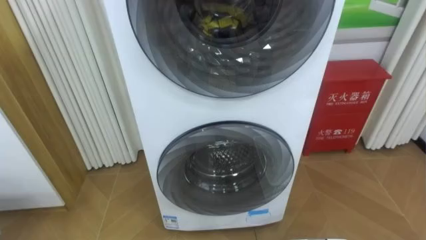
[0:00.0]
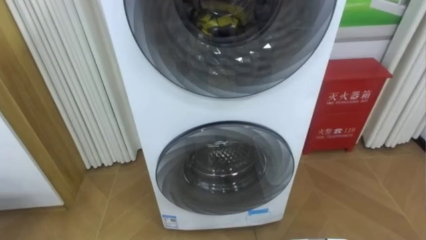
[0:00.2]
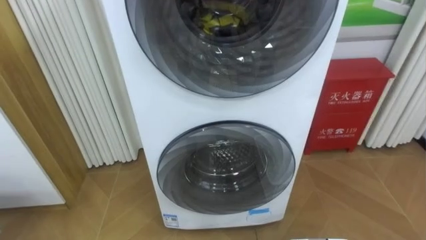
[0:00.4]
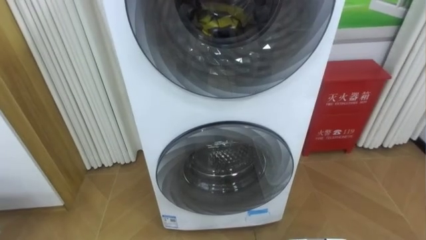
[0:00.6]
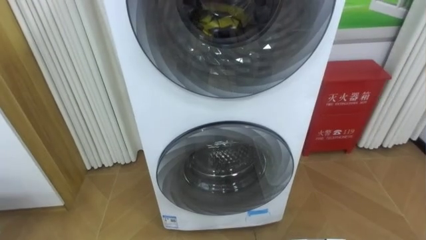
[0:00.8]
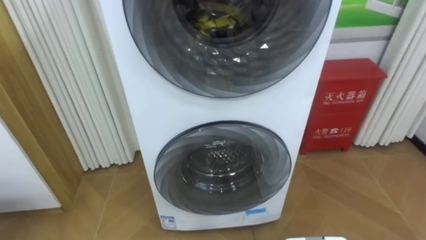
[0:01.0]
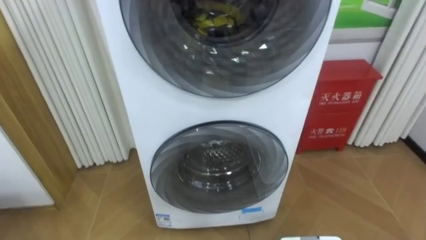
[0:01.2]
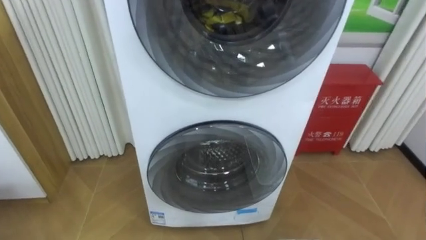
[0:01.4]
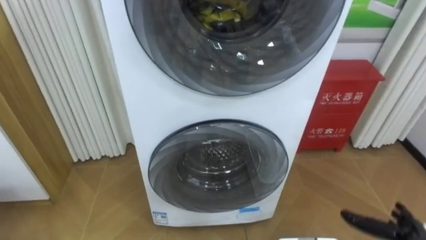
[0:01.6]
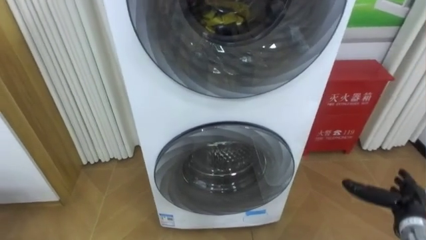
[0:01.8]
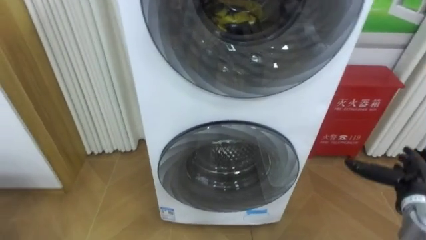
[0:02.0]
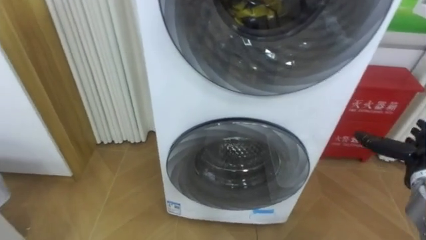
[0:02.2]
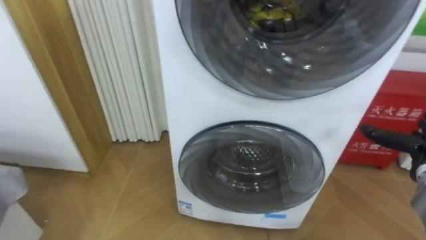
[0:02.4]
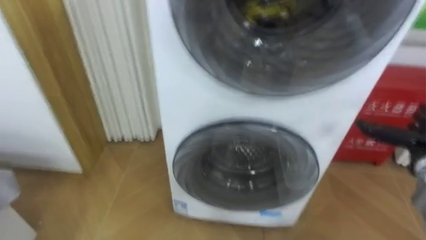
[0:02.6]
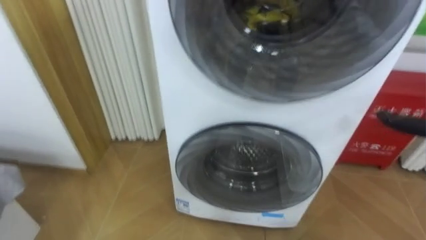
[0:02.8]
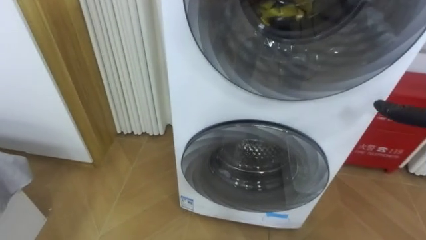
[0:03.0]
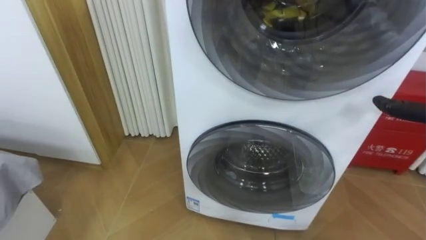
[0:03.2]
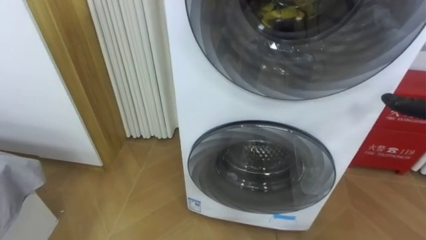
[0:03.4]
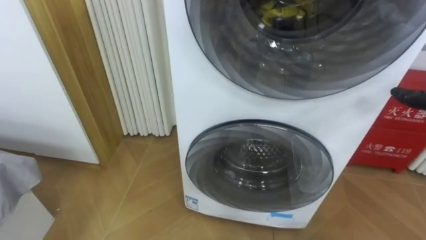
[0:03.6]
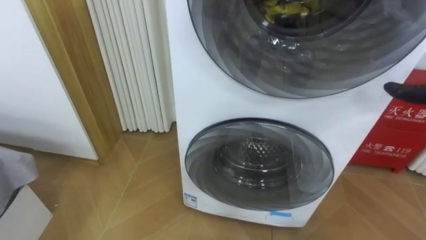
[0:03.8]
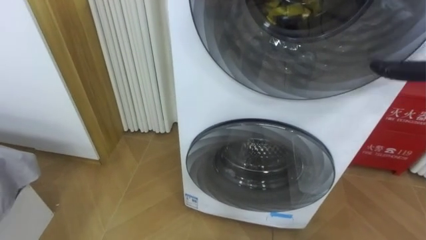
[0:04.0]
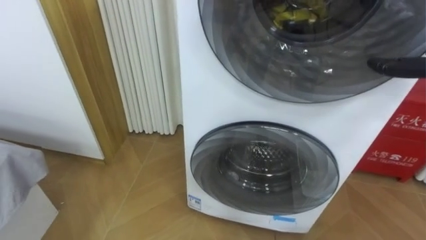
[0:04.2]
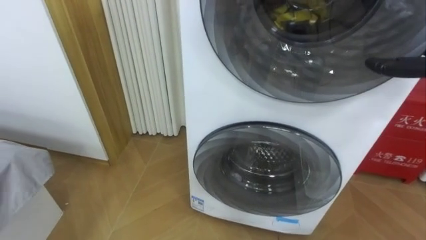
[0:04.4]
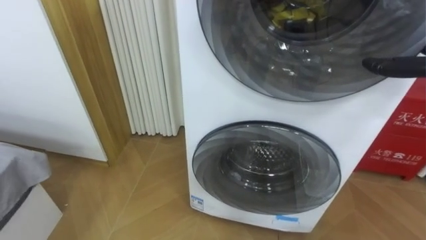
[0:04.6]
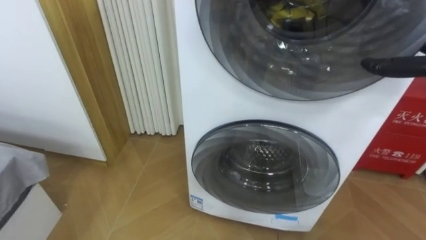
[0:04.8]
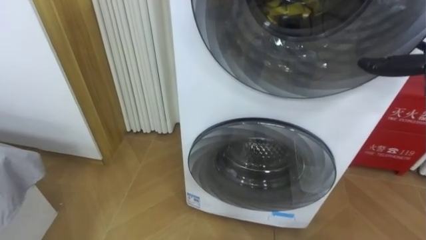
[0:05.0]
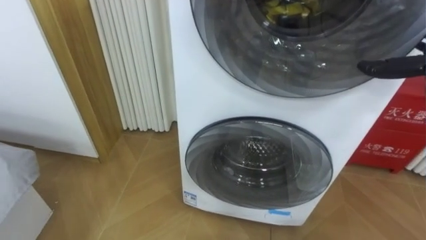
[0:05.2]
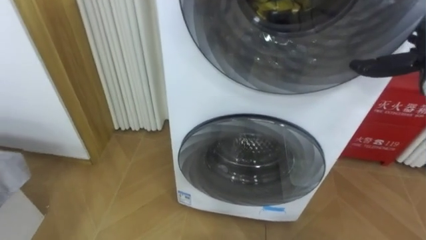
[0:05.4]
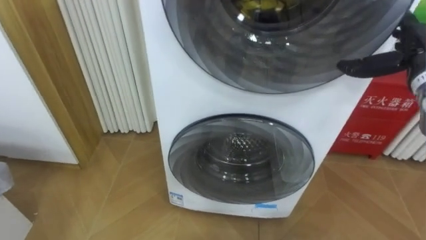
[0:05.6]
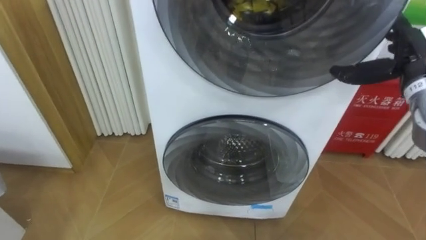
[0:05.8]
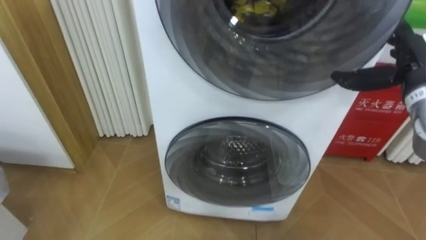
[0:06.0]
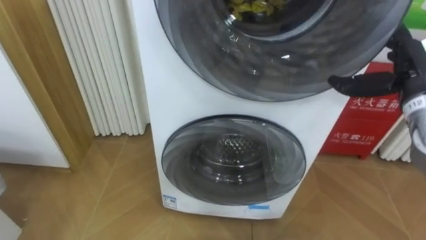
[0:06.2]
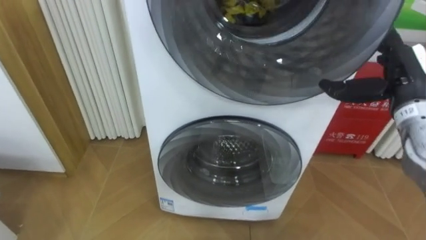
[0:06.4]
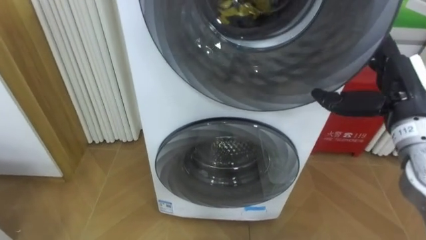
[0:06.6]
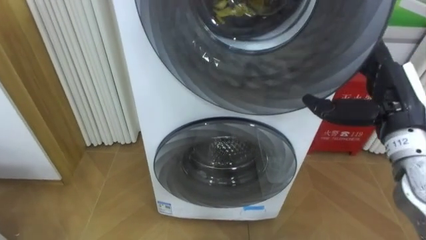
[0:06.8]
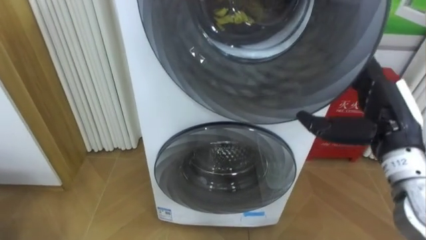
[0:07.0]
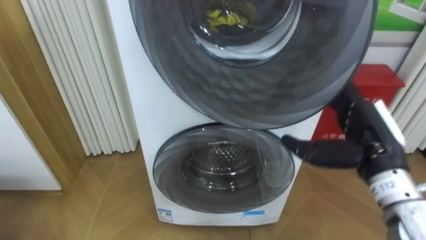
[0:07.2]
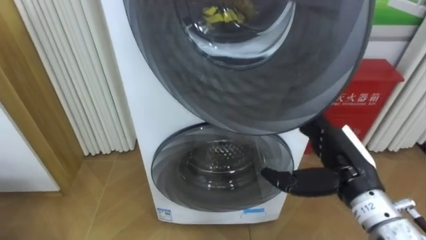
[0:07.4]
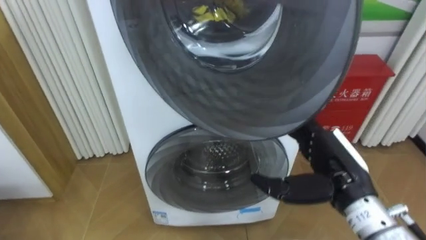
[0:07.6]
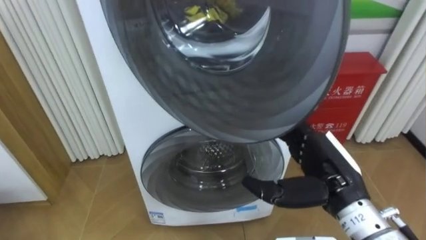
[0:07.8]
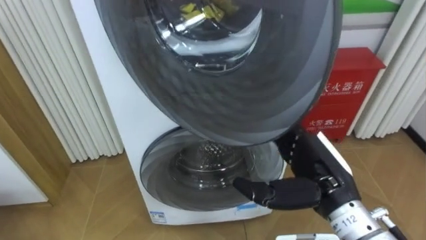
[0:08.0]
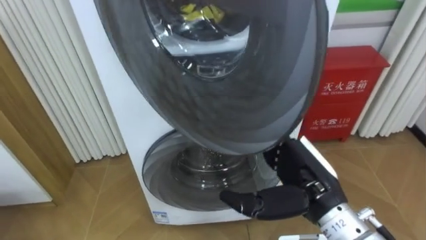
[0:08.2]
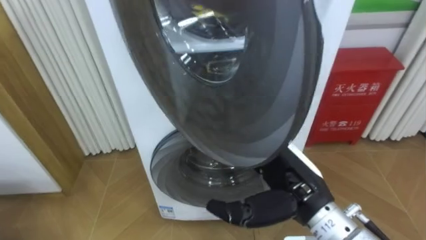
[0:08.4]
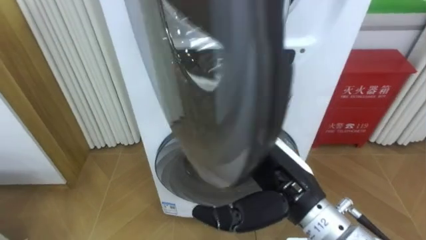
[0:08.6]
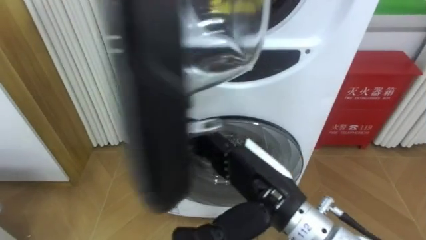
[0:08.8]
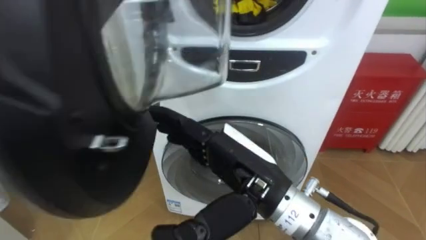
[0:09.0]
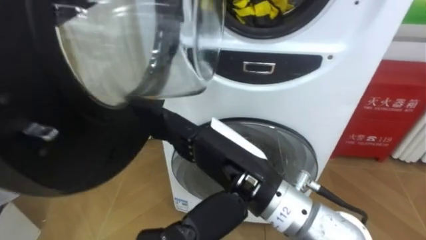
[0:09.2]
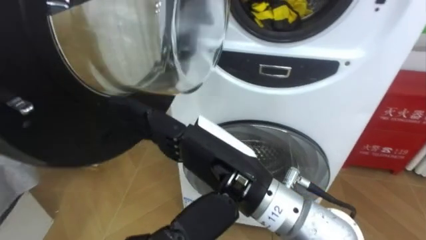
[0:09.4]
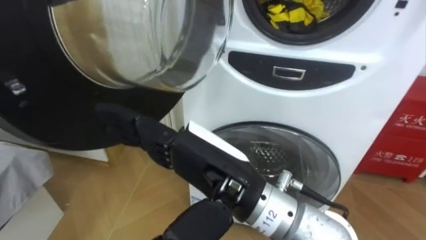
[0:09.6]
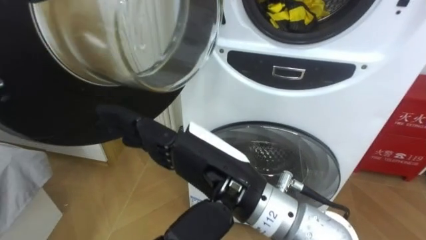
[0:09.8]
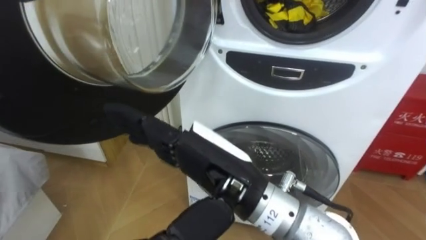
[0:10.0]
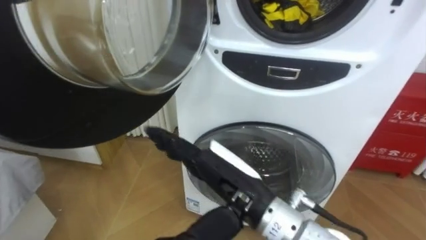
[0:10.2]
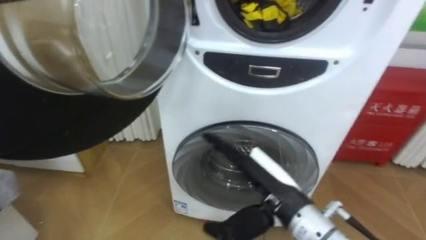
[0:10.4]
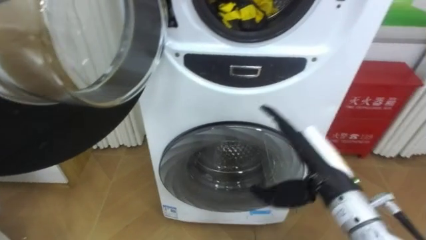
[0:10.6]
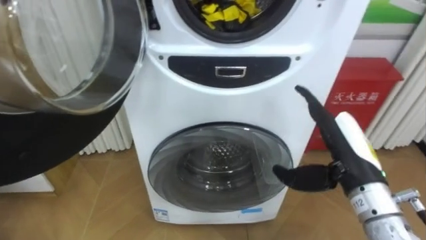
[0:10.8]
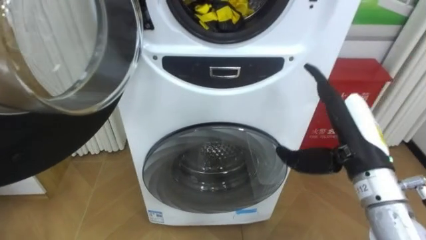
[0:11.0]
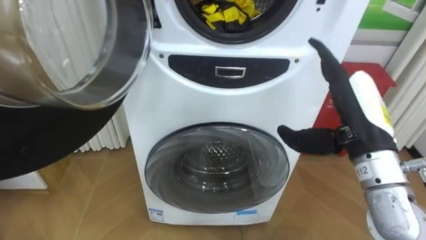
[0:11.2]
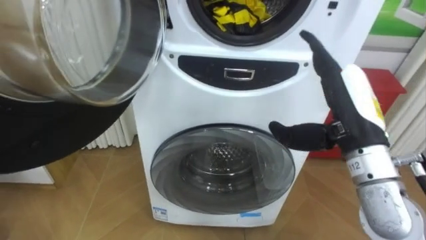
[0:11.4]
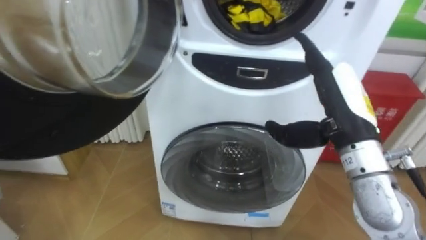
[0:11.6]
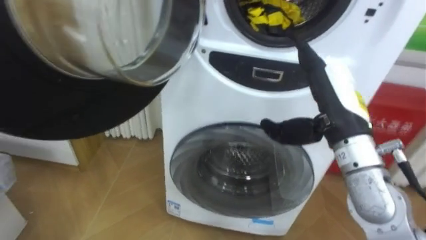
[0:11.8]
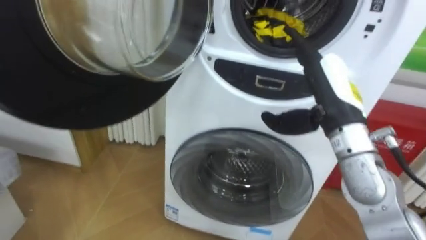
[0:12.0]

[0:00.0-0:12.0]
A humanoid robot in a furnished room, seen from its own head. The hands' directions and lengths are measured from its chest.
Task of the whole recording: Open the washing machine door, take out the yellow clothes, place them in the box on the right, and close the washing machine door.
0:06.0 to 0:07.6: The right hand heads backward, to the left and downward, covering roughly 20 cm.
0:07.6 to 0:09.0: The right hand heads to the left and upward, covering approximately 15 cm.
0:09.0 to 0:10.4: The right hand moves downward, about 5 cm.
0:10.4 to 0:12.0: The right hand shifts approximately 15 cm upward, to the right and forward.

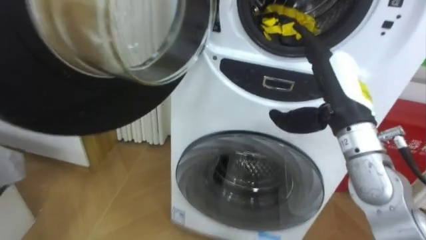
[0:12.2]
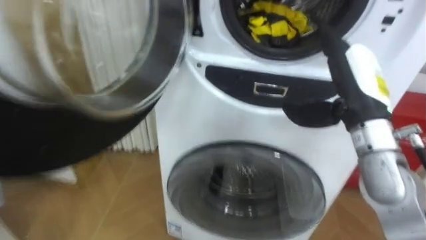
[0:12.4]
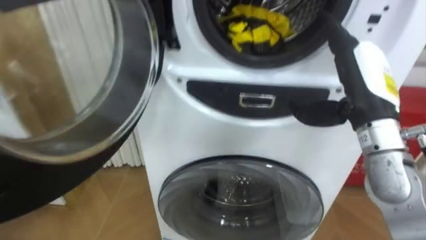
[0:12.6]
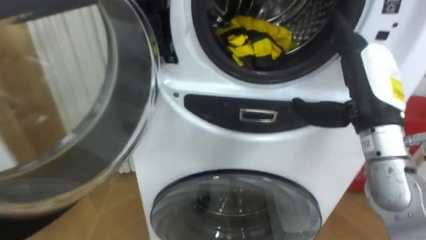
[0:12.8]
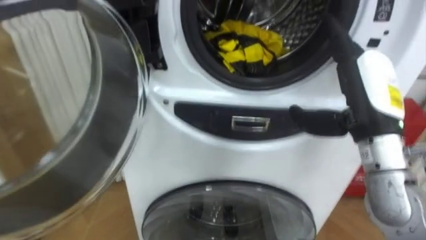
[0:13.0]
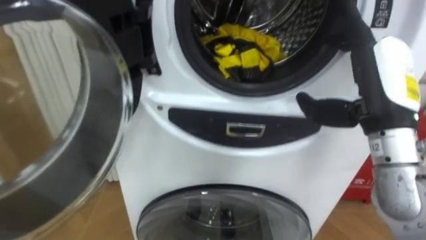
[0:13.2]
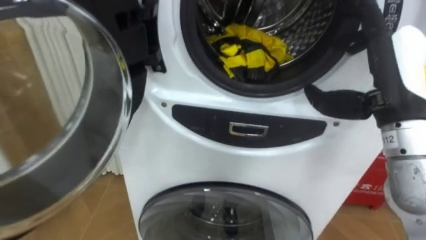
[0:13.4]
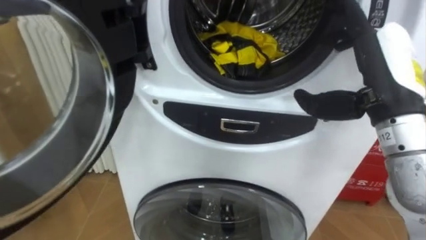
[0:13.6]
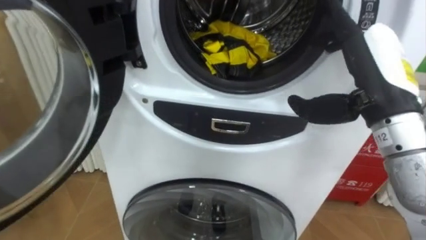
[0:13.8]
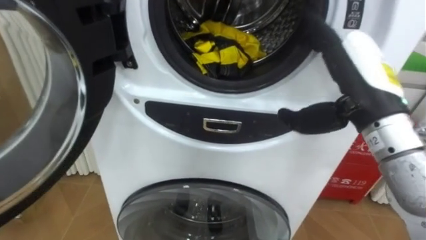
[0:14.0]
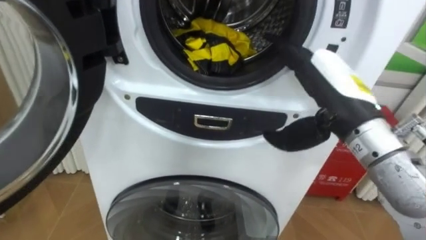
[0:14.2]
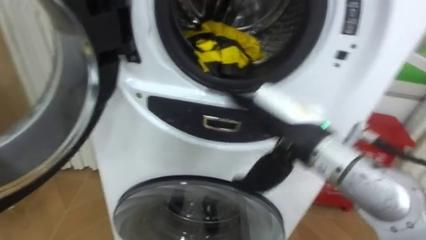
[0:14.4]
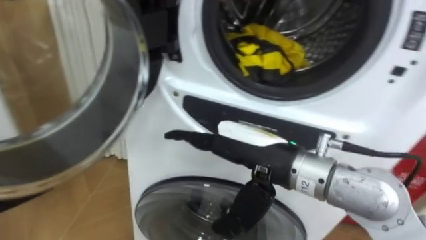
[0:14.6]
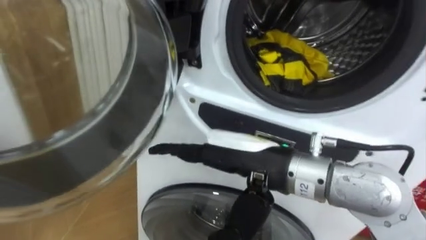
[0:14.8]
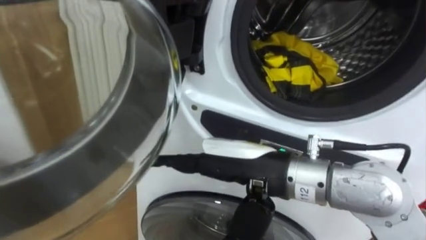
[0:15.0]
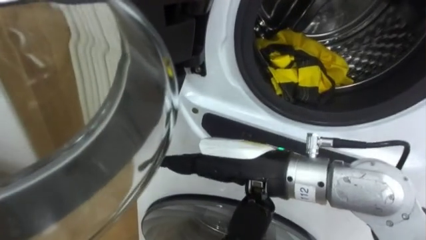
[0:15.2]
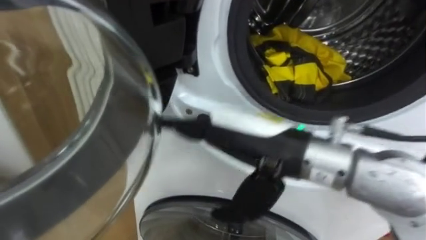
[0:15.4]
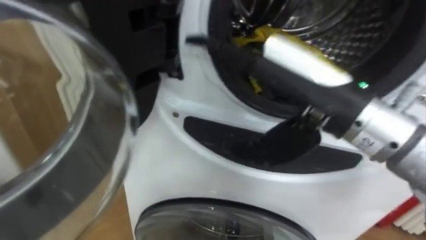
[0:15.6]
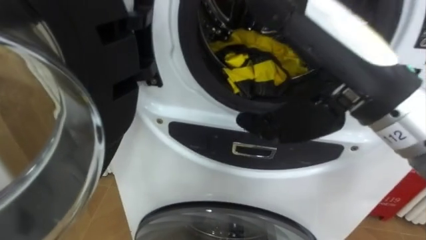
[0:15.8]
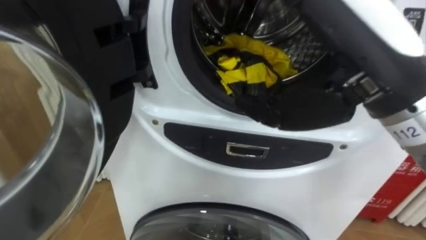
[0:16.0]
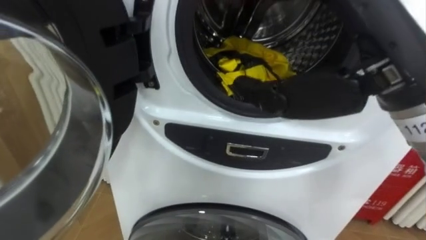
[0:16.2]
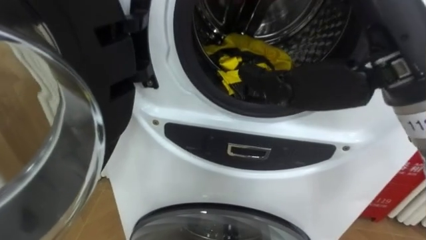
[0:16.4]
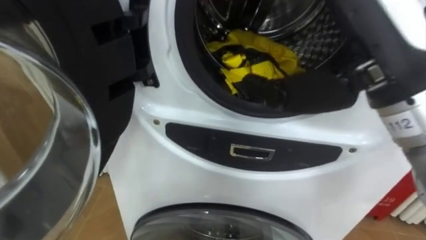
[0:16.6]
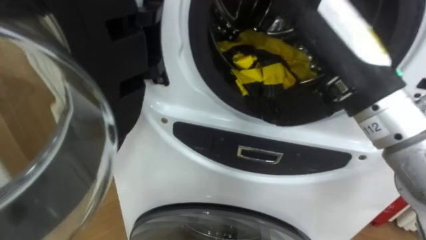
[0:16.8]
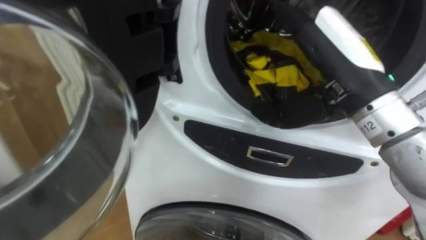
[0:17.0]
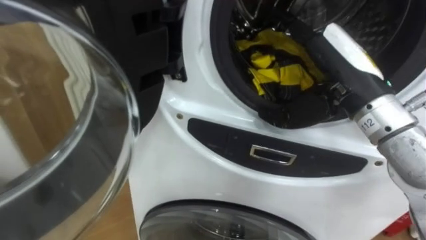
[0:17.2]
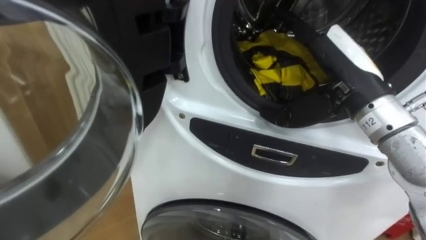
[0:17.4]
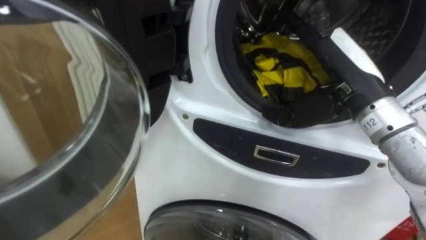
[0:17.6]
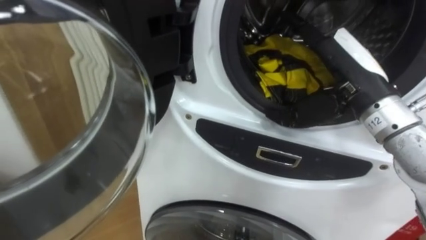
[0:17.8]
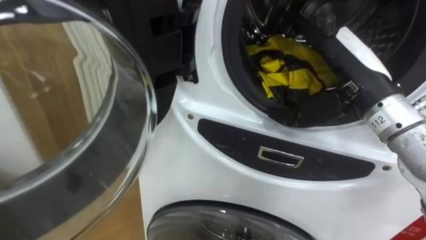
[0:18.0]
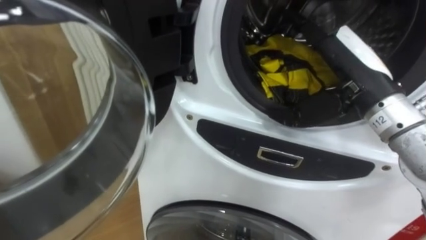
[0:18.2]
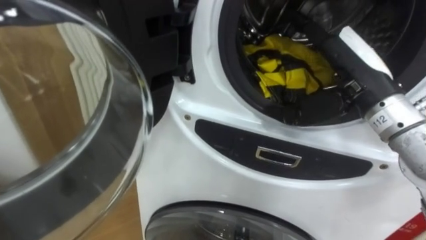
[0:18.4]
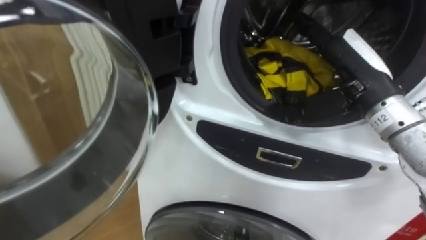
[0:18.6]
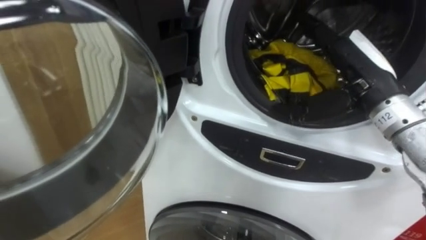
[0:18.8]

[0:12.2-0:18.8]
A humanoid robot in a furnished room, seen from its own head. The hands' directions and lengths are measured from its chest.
Task of the whole recording: Open the washing machine door, take out the yellow clothes, place them in the box on the right, and close the washing machine door.
0:12.2 to 0:13.8: The right hand ends up about 5 cm from where it was.
0:13.8 to 0:15.4: The right hand travels to the left and backward by approximately 15 cm.
0:15.4 to 0:17.2: The right hand moves to the right and forward, some 15 cm, and goes upward and returns, approximately 15 cm each way.
0:17.2 to 0:18.8: The right hand shifts by roughly 5 cm.
